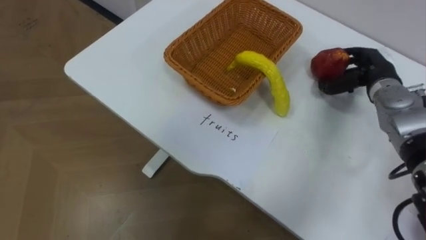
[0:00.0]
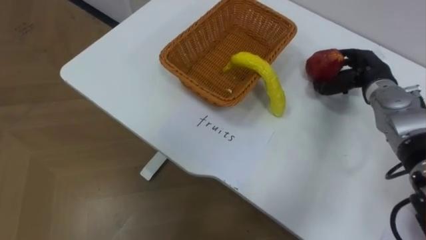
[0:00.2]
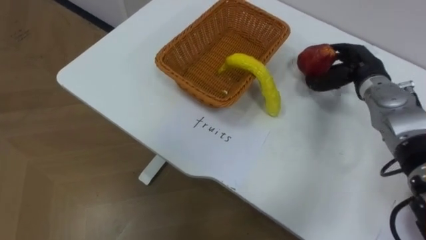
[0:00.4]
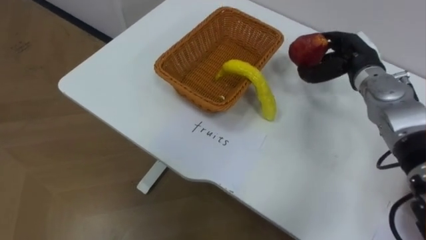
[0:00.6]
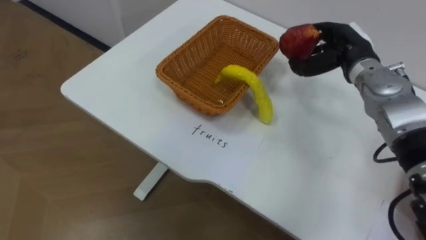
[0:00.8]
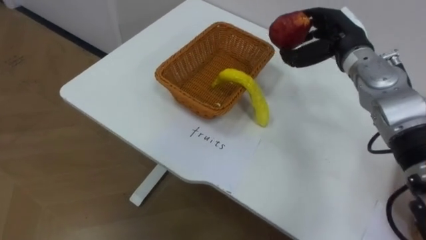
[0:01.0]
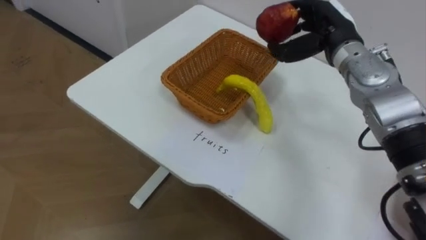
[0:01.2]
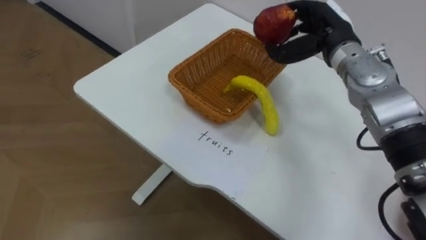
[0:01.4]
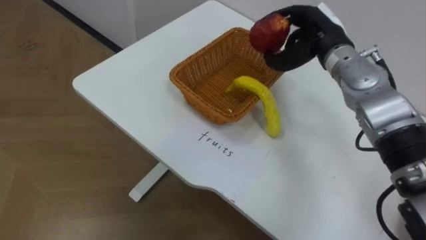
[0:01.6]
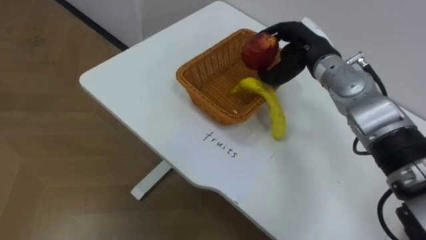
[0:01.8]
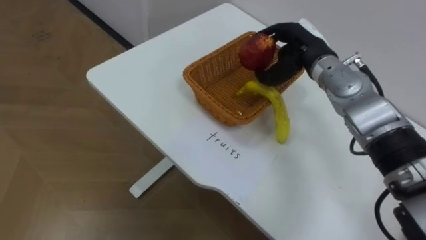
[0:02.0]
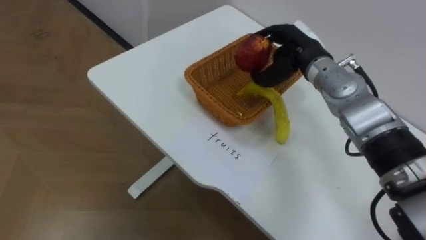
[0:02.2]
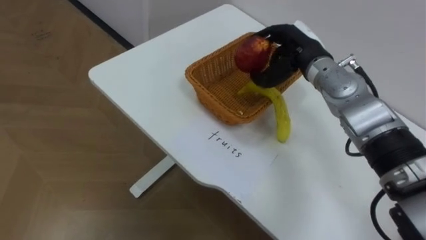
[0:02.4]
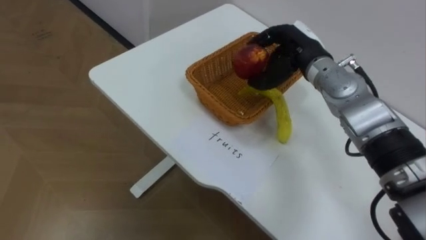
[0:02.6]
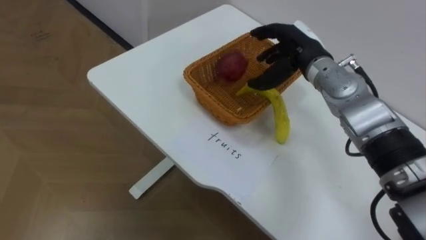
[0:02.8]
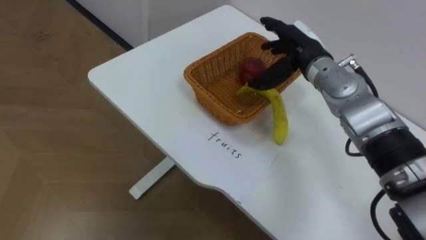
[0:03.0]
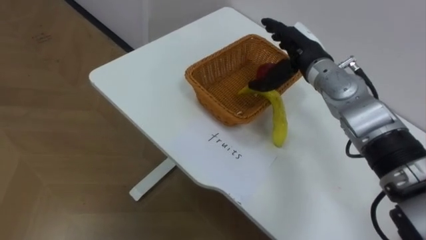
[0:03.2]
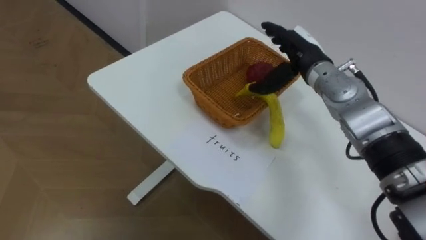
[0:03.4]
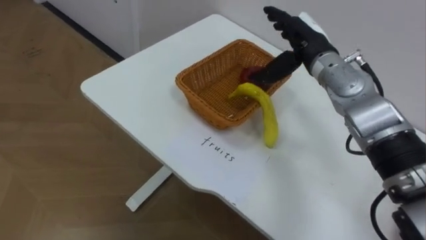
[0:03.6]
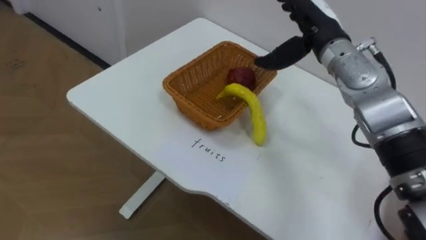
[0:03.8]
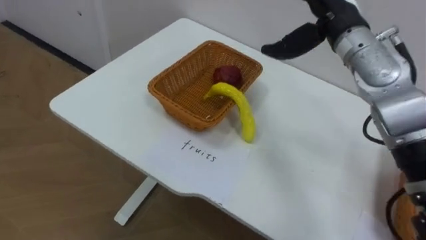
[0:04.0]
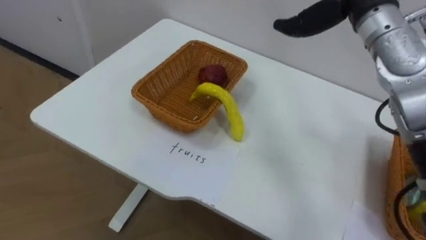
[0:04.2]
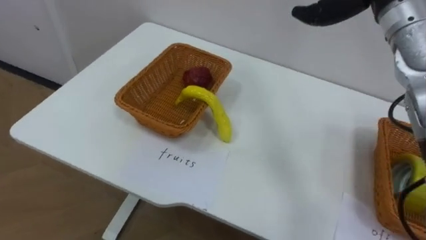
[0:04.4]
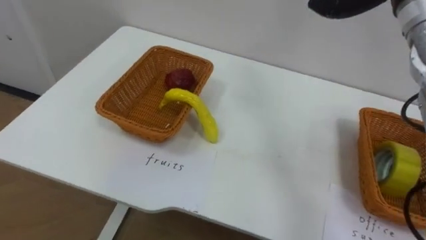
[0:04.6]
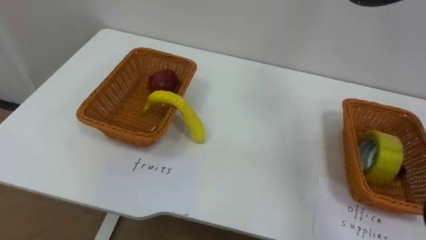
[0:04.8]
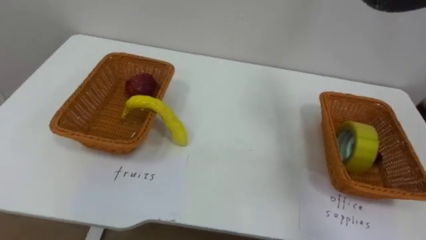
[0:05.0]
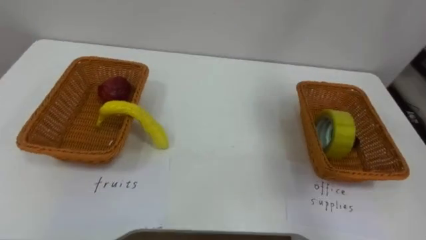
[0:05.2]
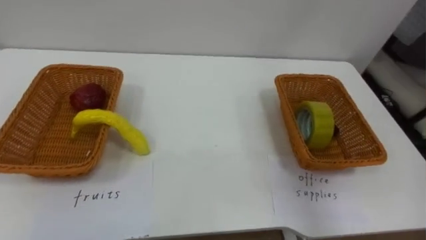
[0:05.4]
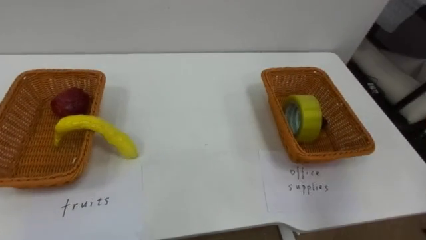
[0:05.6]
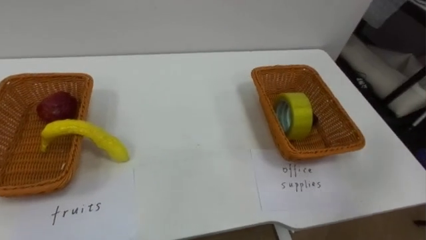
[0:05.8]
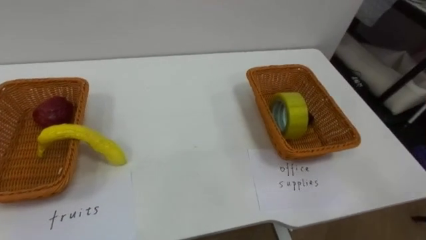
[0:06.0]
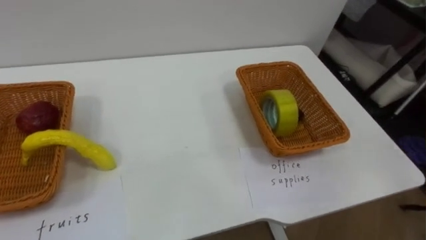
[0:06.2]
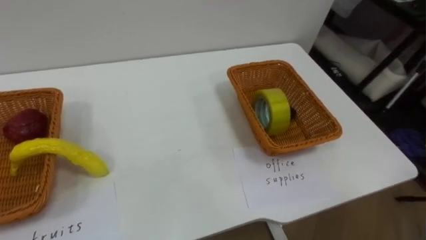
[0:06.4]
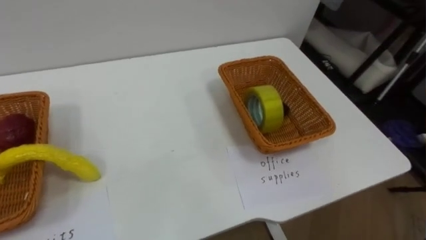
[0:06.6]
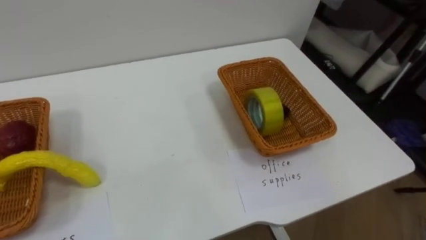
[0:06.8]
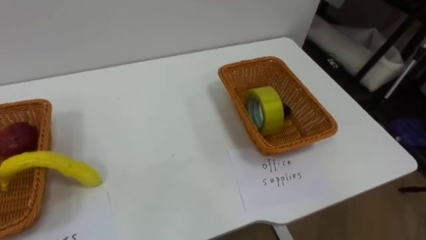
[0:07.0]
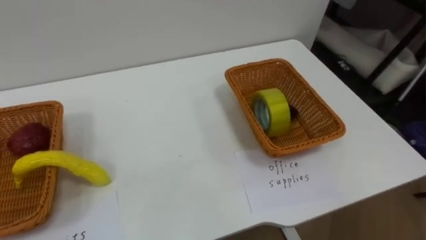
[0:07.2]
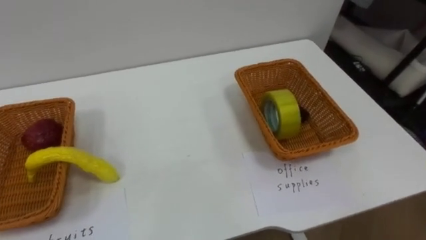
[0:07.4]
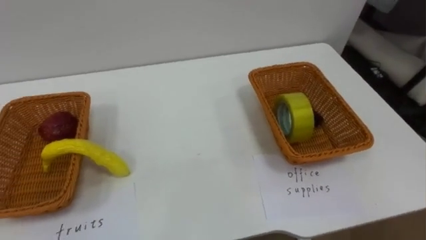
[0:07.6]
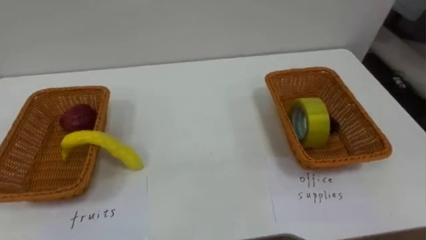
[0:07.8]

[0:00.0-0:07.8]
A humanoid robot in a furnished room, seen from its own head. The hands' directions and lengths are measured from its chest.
Task of the whole recording: Separate the items on the table and place them into the two baskets.
0:00.0 to 0:01.6: The right hand is displaced to the left and upward by approximately 15 cm.
0:01.6 to 0:03.2: The right hand opens its fingers.

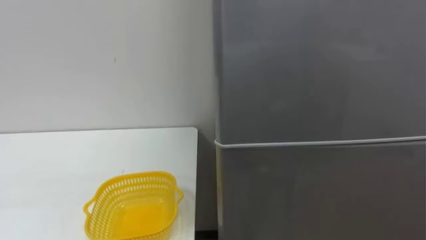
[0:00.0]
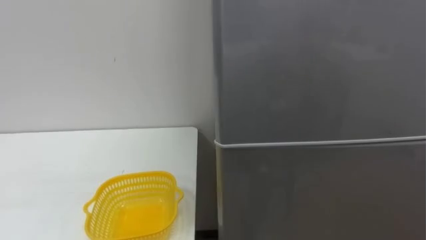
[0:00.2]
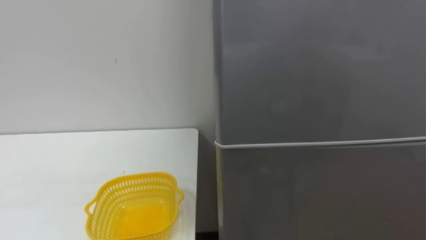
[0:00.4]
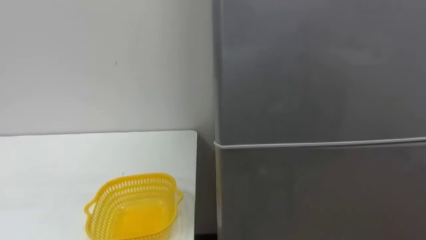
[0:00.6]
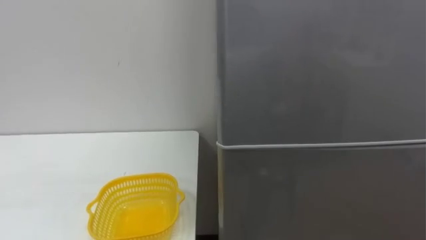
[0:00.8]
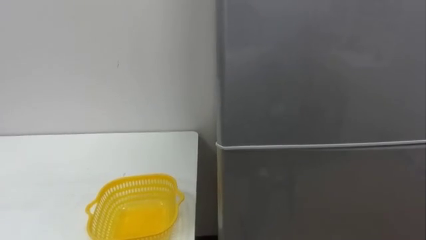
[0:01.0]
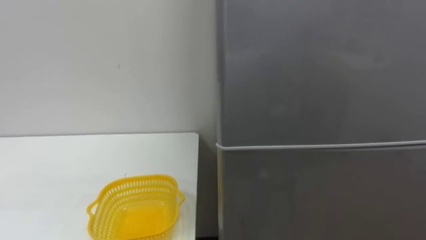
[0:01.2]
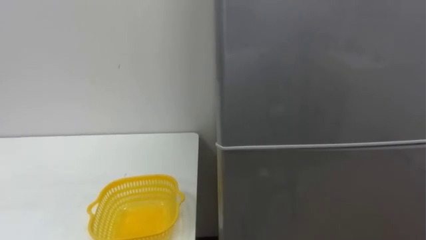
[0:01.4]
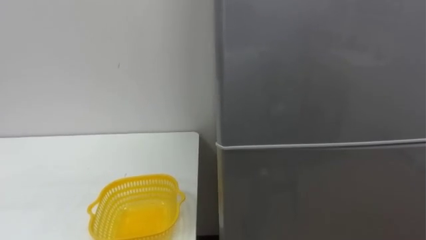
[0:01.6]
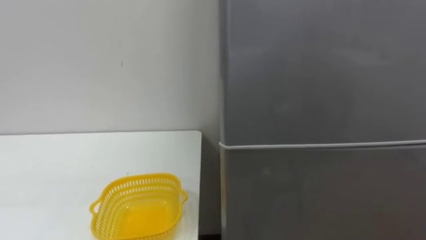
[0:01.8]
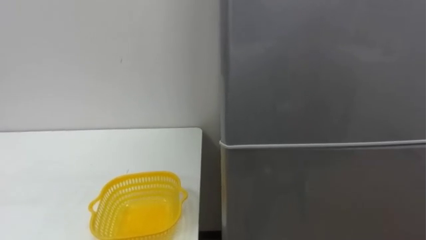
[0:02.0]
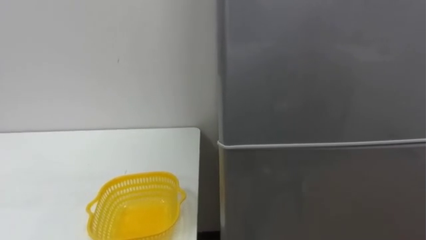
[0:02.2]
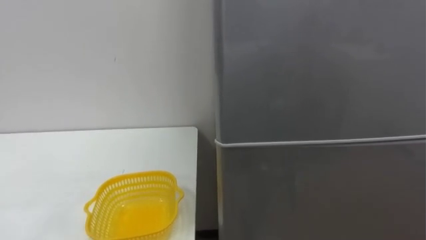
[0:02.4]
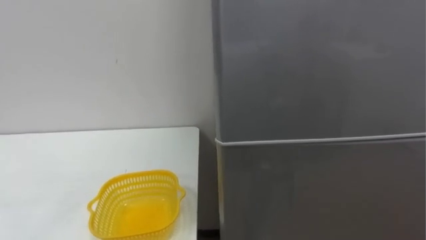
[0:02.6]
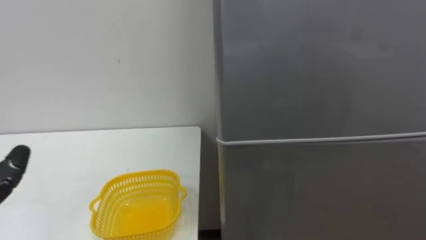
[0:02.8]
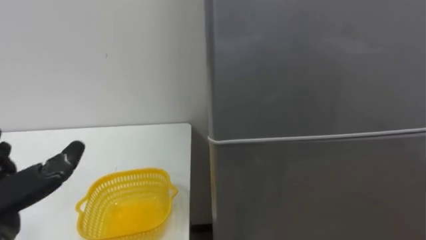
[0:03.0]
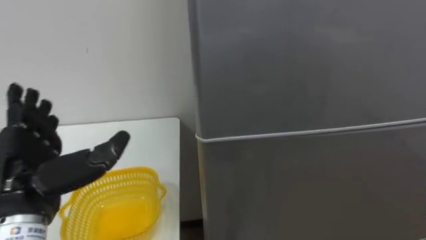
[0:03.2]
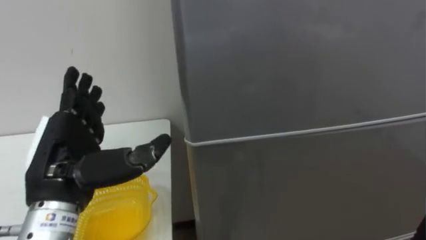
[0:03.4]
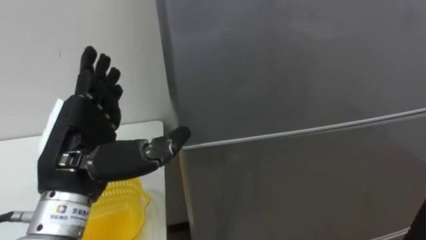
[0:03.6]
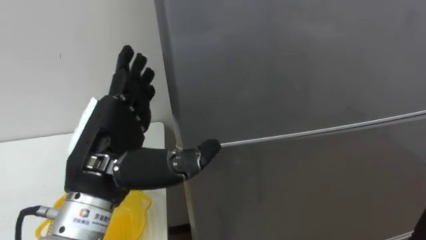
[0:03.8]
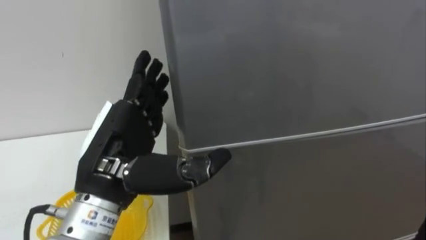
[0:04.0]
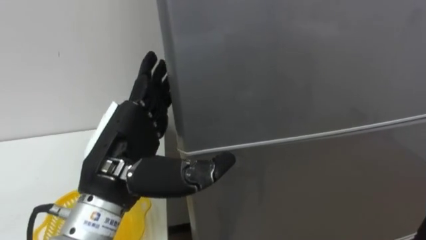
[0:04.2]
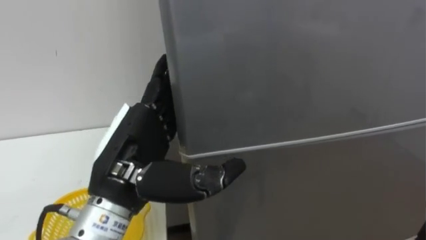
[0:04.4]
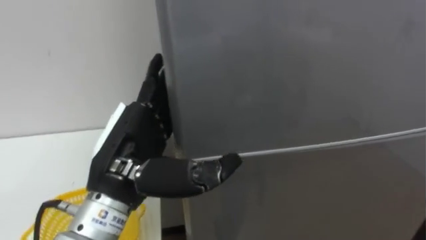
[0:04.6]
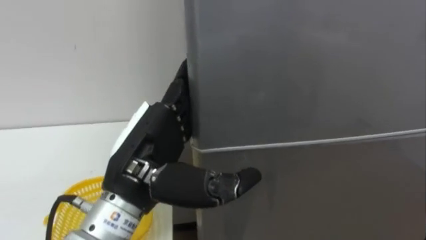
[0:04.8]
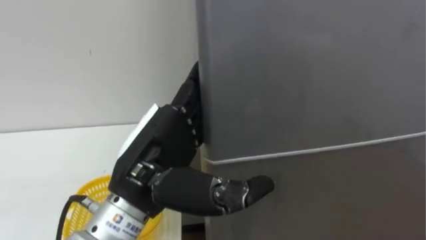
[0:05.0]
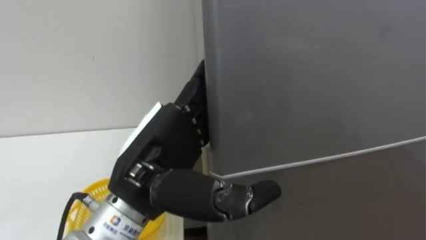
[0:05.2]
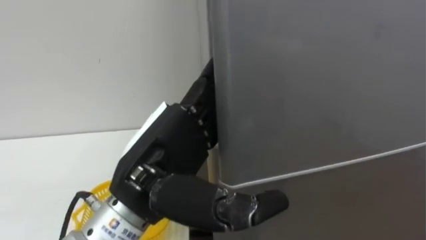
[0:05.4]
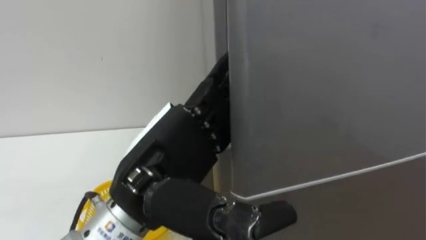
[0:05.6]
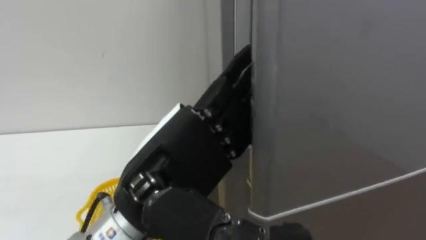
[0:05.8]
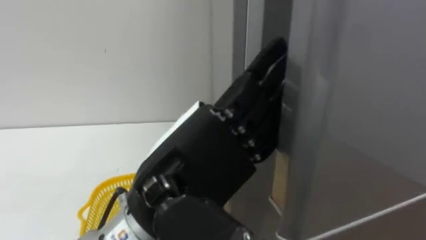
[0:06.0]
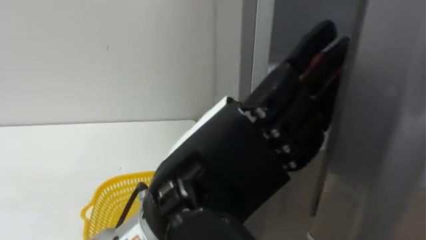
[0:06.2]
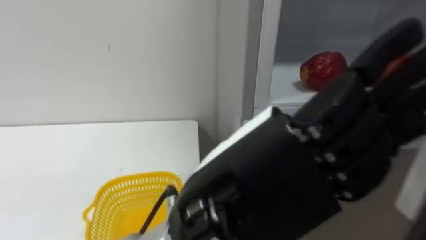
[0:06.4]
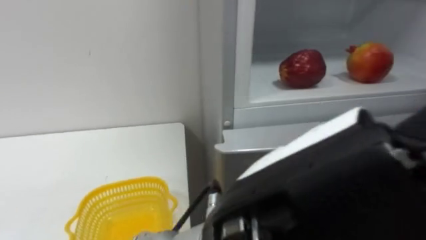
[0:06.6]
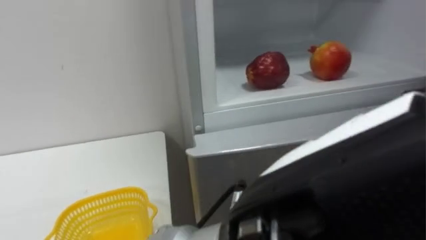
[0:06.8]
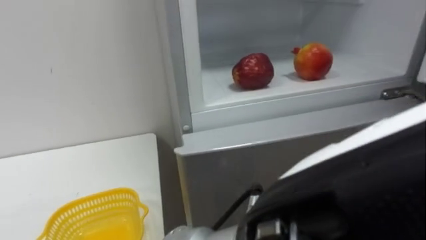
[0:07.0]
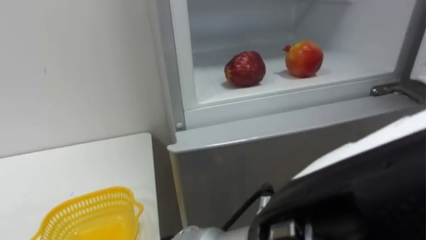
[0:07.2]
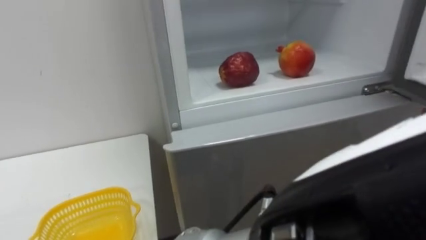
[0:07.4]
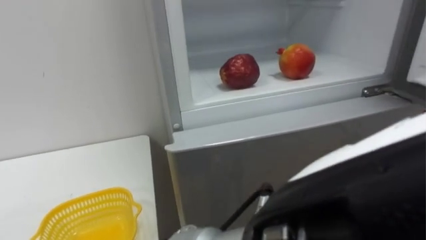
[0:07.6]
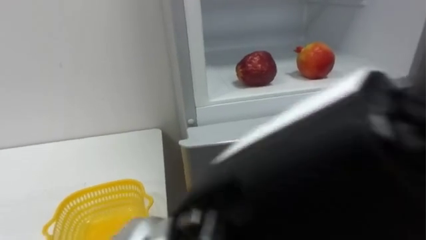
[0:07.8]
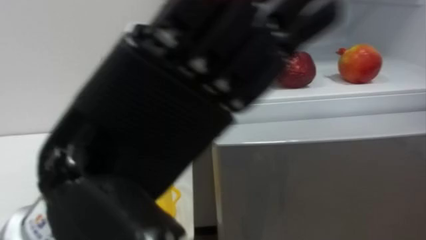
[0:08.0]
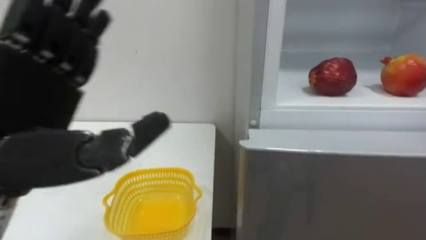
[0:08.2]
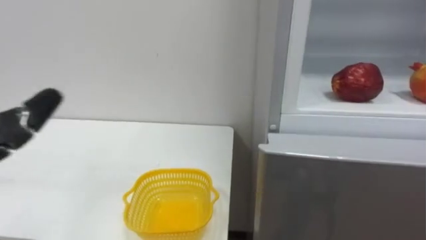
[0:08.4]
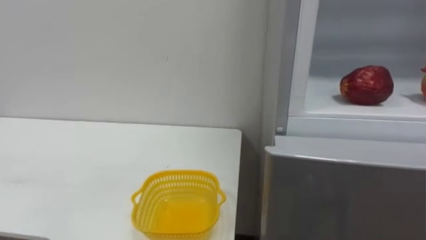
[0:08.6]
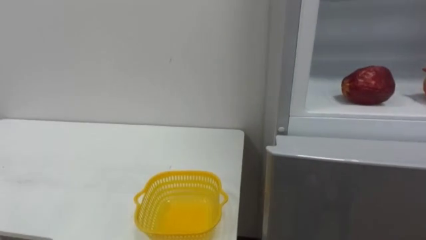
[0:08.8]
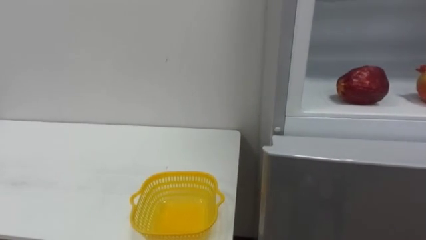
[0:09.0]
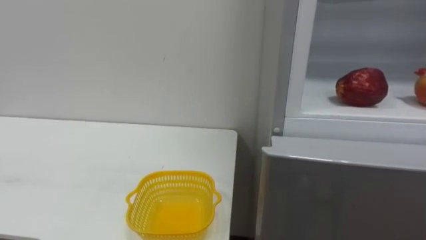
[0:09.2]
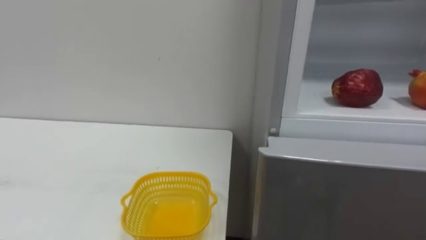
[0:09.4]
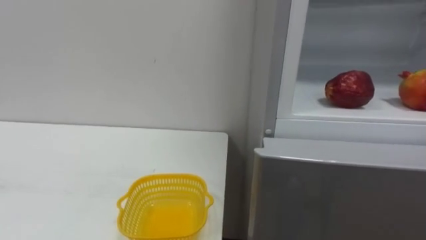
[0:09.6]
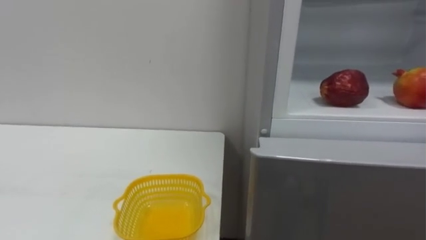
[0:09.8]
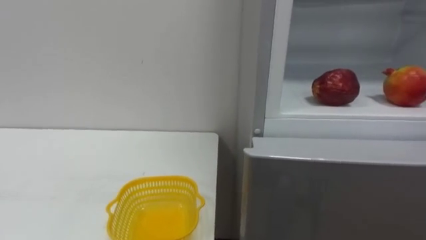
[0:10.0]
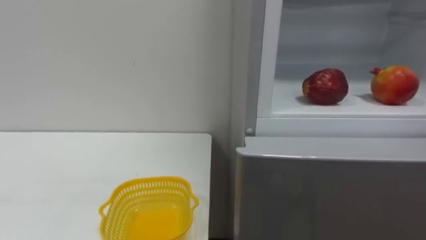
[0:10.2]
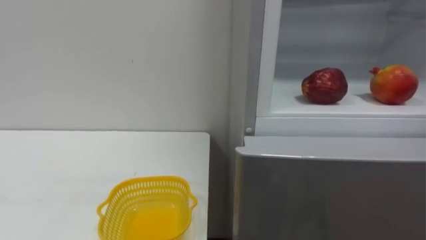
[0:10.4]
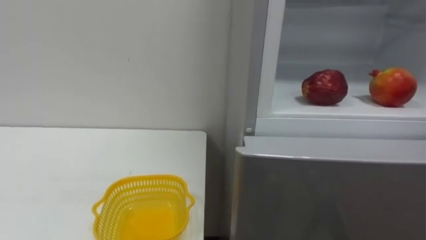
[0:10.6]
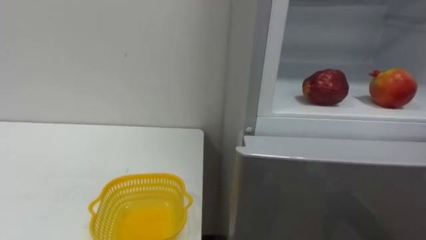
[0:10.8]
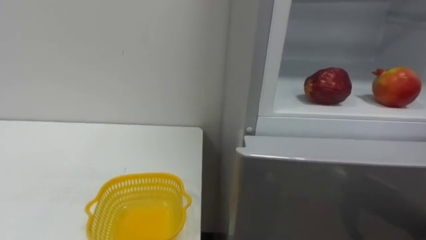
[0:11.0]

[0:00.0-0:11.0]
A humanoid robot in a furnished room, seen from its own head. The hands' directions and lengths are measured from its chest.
Task of the whole recording: Open the refrigerator door, take out the apple and the pomegranate, place them in the fruit basket on the left, and close the refrigerator door.
0:03.2 to 0:04.8: The left hand shifts approximately 15 cm to the right.
0:04.8 to 0:06.2: The left hand heads backward and to the right, covering approximately 10 cm.
0:06.2 to 0:07.8: The left hand is displaced backward by about 10 cm.
